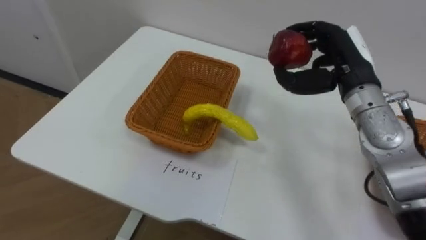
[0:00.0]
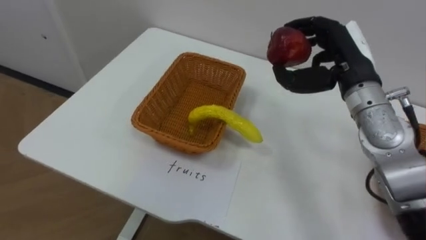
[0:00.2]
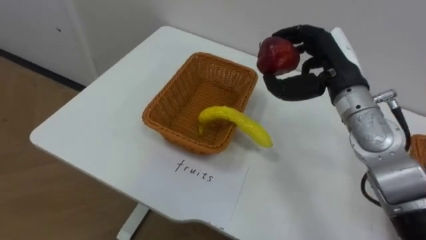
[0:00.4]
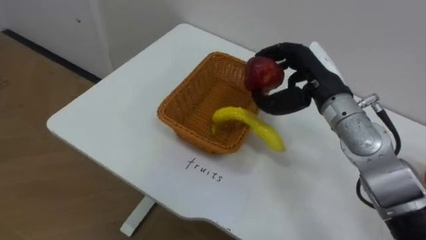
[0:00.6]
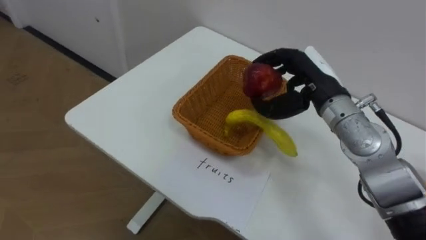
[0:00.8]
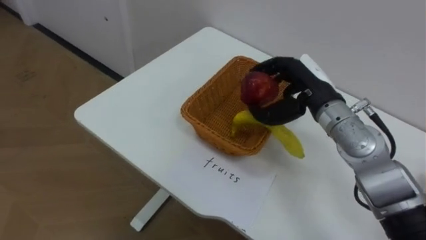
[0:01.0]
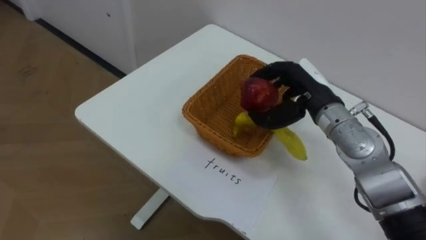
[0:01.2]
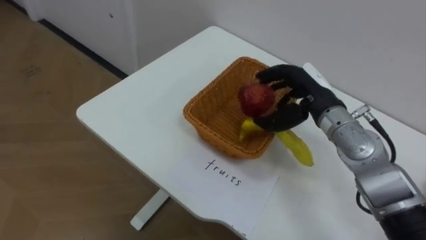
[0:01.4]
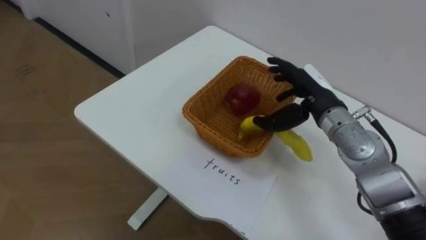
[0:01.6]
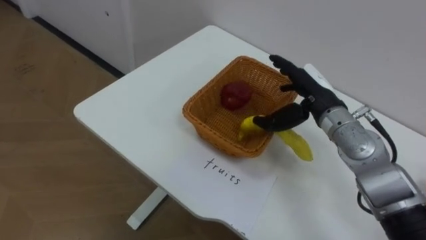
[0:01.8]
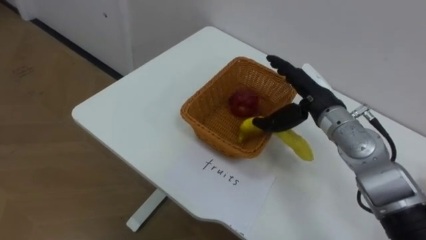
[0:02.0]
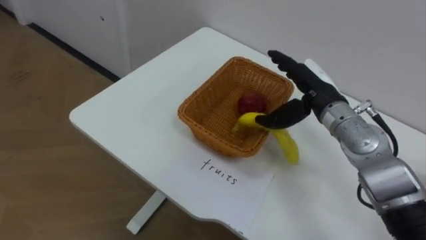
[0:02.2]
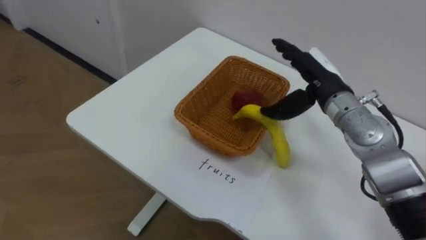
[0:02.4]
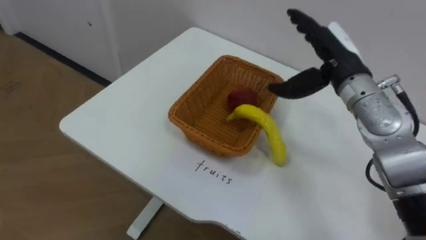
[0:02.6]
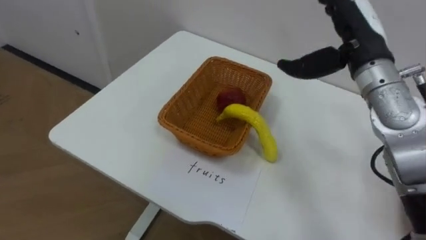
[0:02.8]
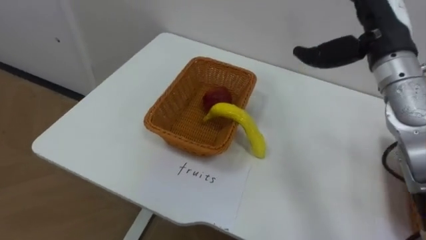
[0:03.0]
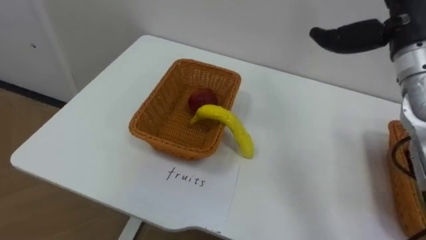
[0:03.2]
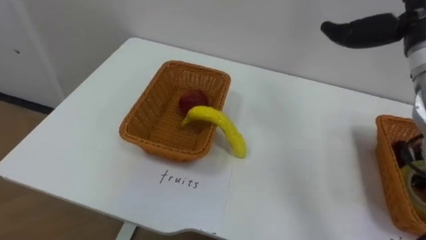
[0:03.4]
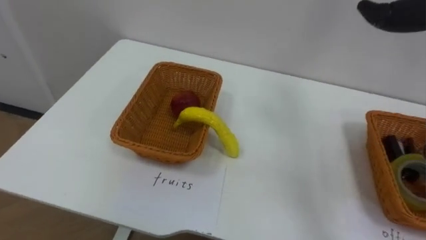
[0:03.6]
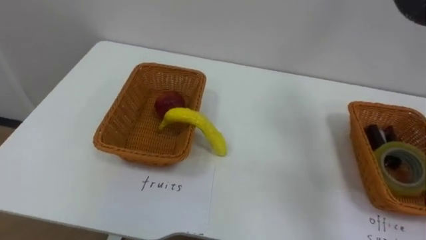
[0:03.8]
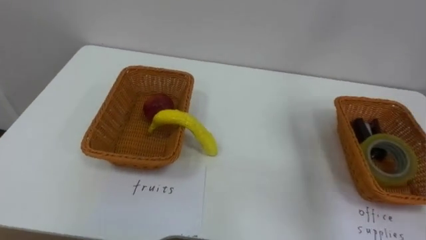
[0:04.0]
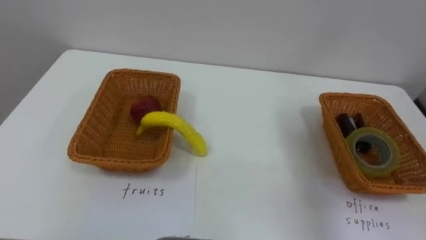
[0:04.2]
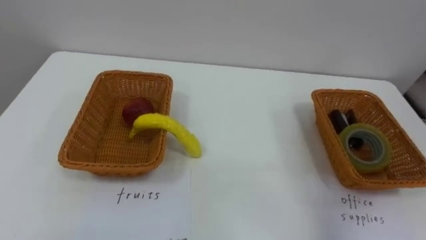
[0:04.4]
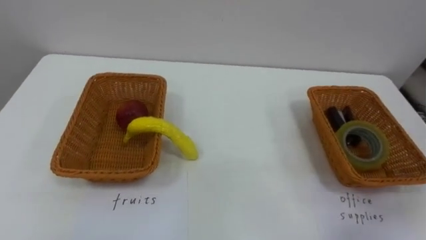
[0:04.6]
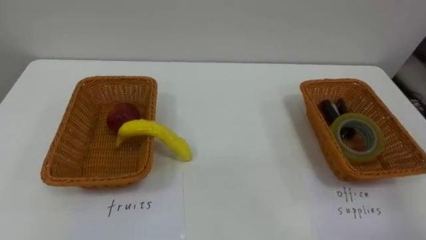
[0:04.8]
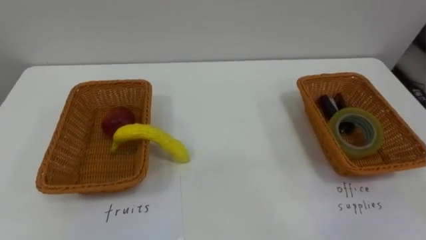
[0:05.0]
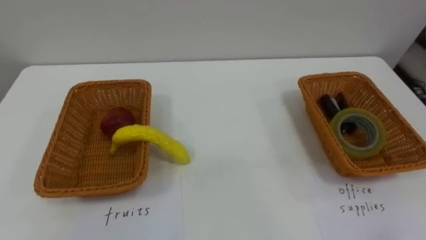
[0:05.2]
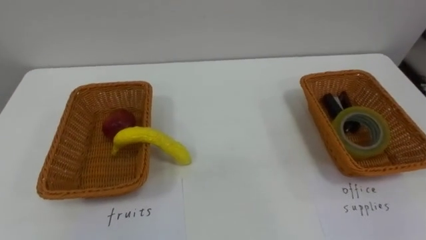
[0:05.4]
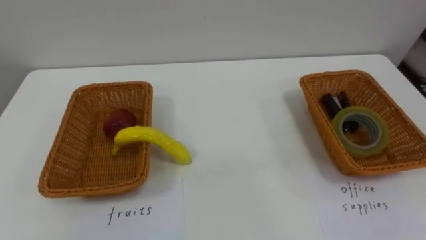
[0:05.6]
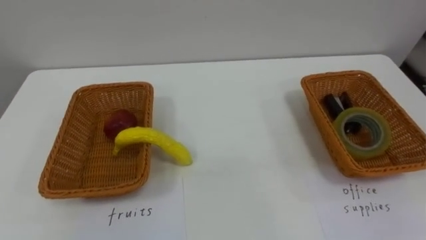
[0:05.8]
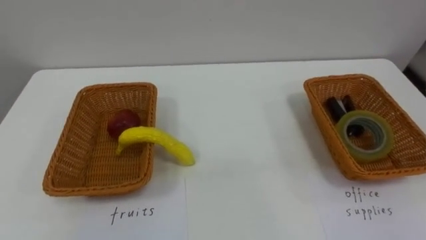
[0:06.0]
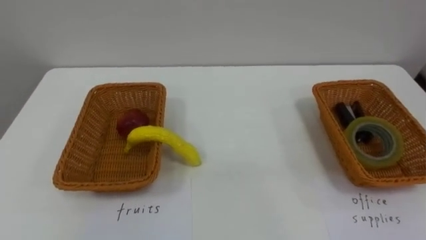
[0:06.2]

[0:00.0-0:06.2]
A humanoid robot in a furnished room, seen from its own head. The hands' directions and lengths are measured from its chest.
Task of the whole recording: Separate the items on the table and place them into the two baskets.
0:00.0 to 0:01.6: The right hand is displaced downward by about 5 cm, and opens its fingers.
0:01.6 to 0:03.2: The right hand goes roughly 15 cm upward and to the right.

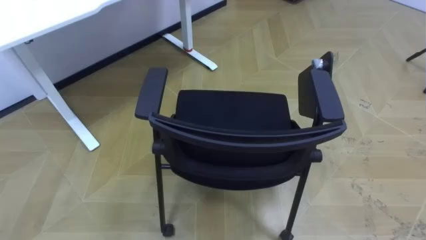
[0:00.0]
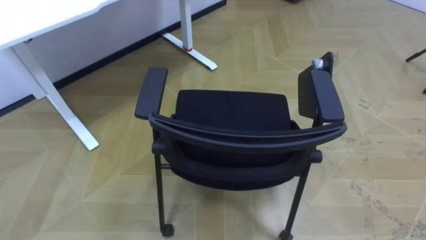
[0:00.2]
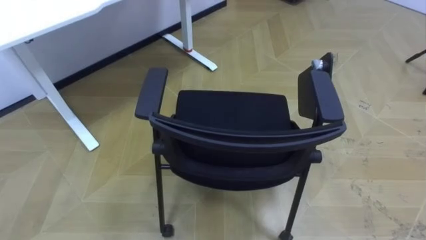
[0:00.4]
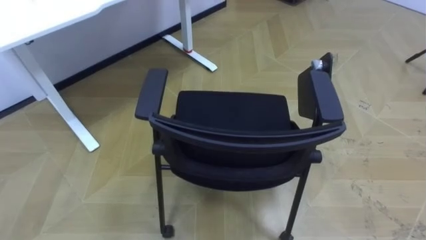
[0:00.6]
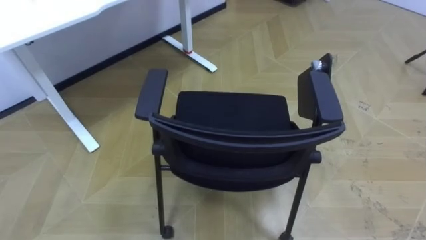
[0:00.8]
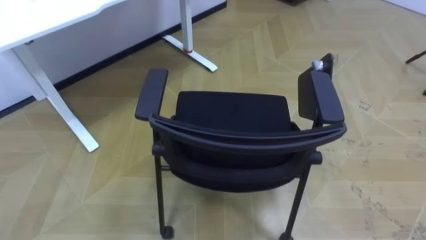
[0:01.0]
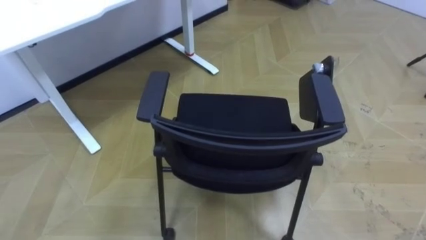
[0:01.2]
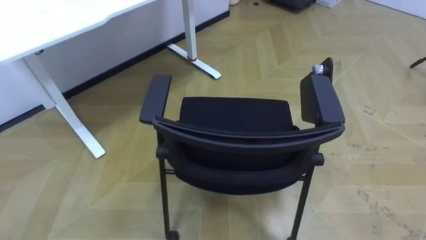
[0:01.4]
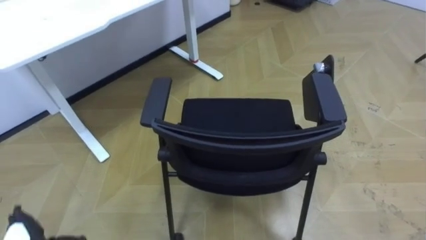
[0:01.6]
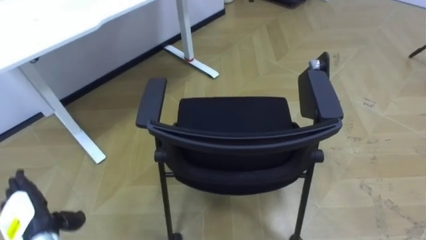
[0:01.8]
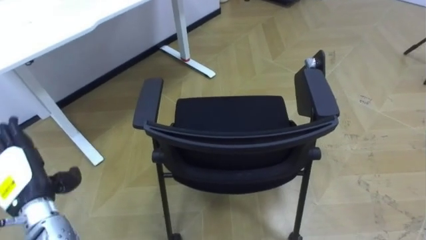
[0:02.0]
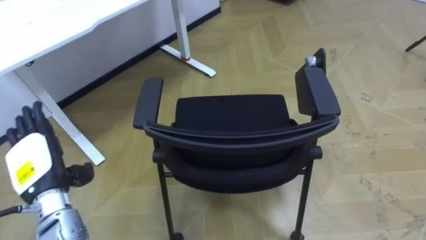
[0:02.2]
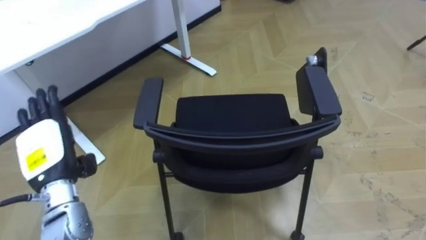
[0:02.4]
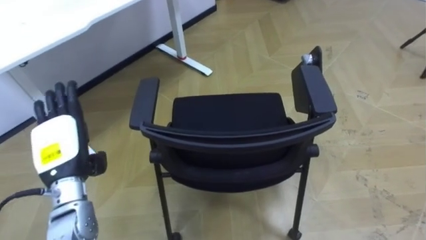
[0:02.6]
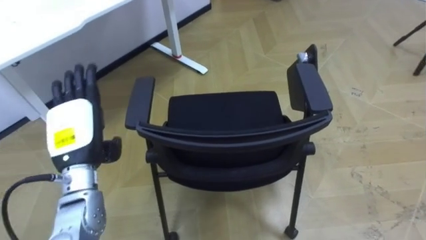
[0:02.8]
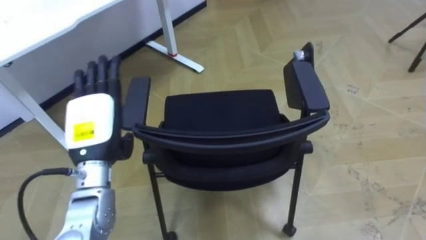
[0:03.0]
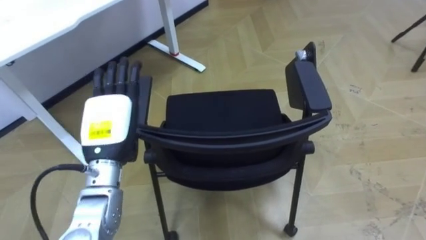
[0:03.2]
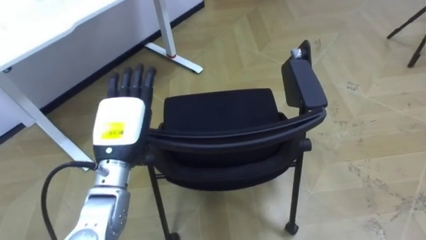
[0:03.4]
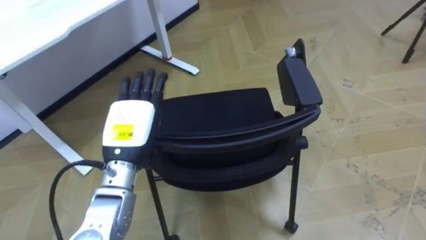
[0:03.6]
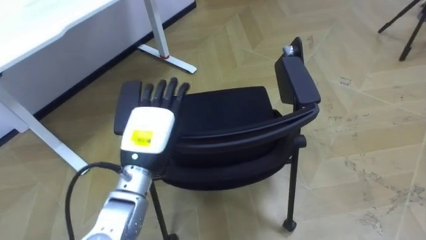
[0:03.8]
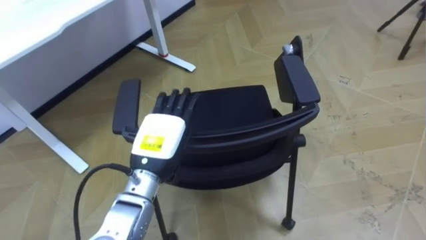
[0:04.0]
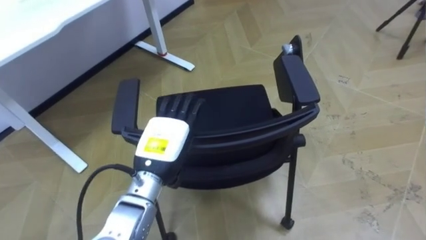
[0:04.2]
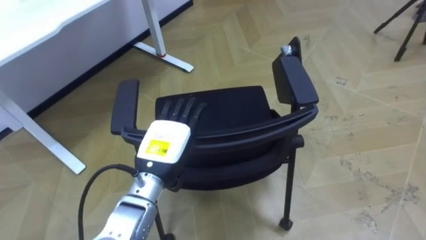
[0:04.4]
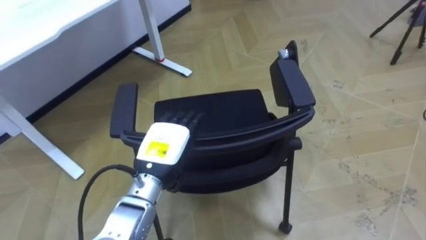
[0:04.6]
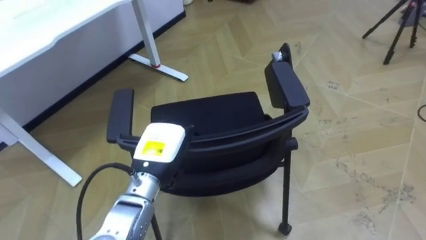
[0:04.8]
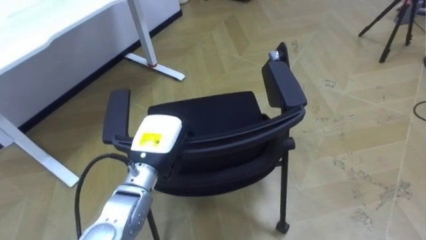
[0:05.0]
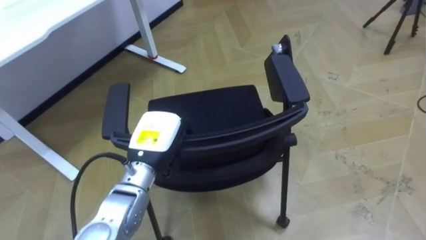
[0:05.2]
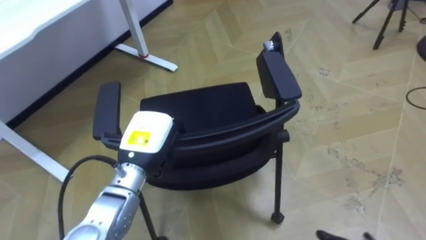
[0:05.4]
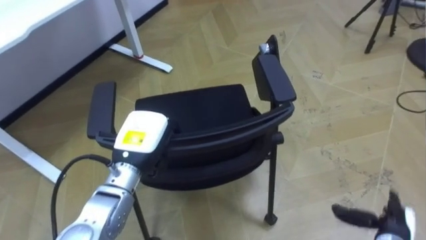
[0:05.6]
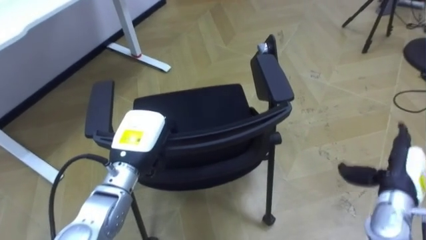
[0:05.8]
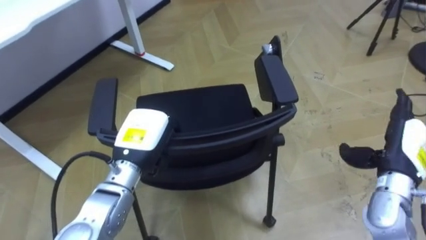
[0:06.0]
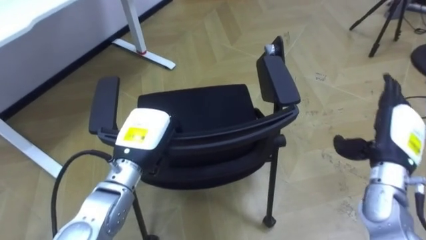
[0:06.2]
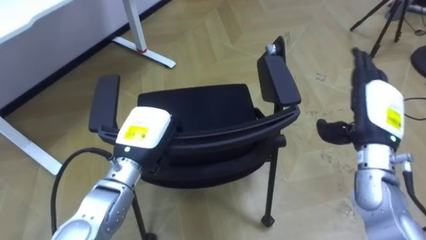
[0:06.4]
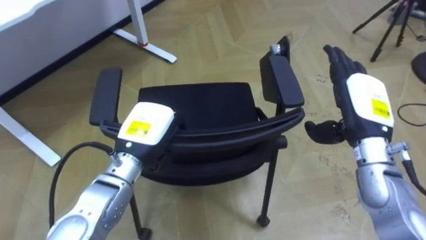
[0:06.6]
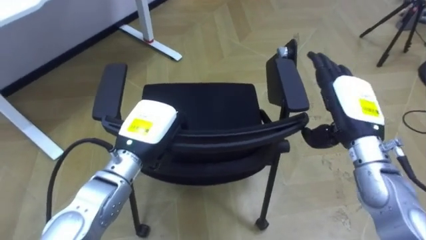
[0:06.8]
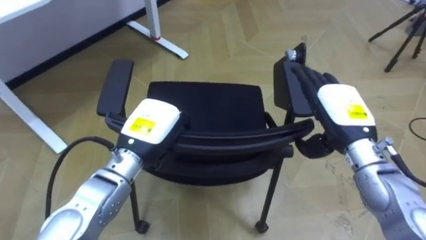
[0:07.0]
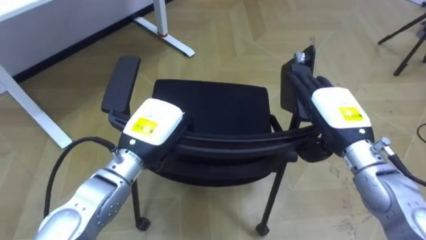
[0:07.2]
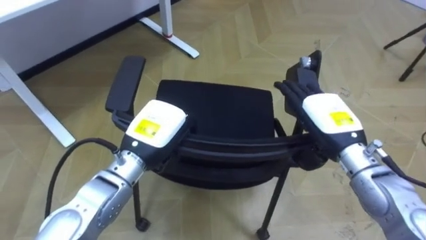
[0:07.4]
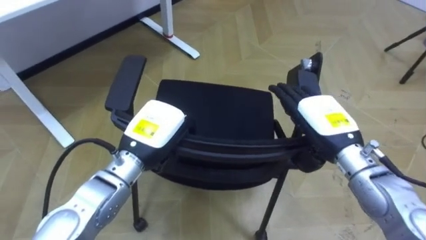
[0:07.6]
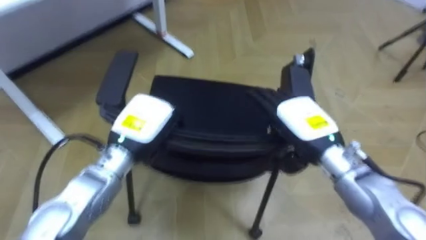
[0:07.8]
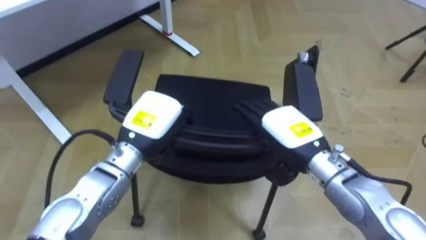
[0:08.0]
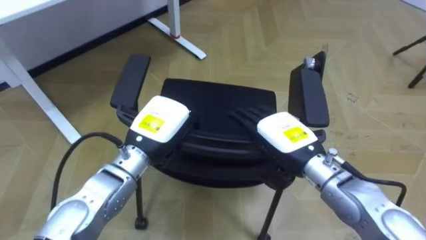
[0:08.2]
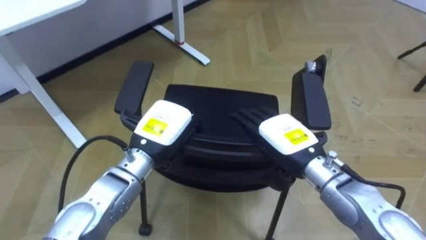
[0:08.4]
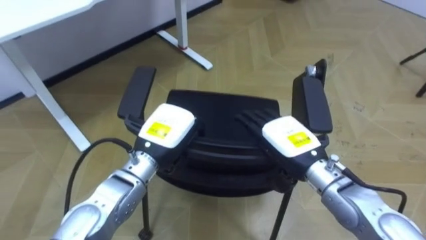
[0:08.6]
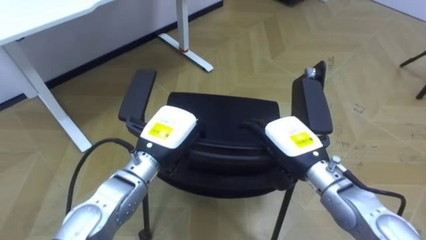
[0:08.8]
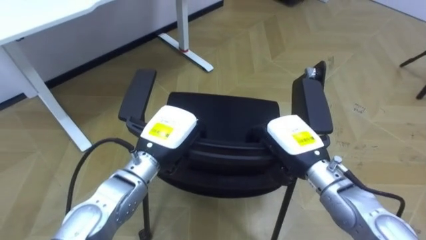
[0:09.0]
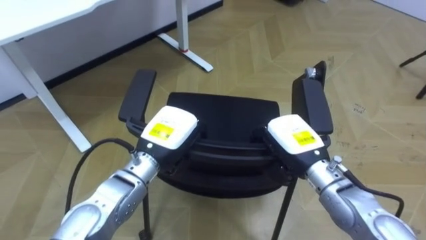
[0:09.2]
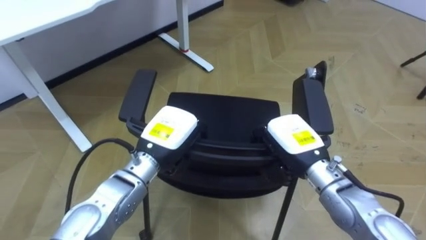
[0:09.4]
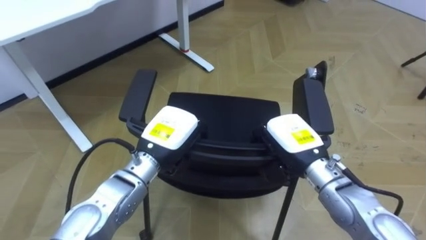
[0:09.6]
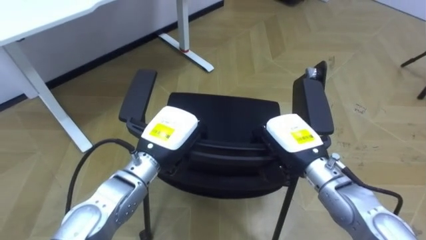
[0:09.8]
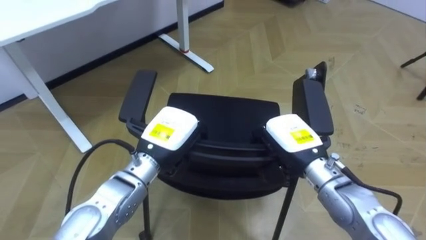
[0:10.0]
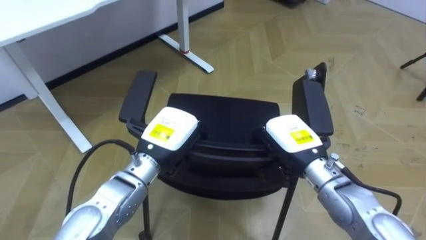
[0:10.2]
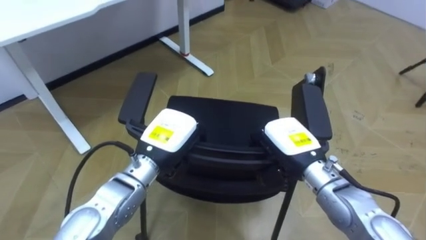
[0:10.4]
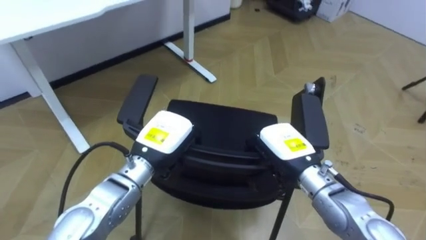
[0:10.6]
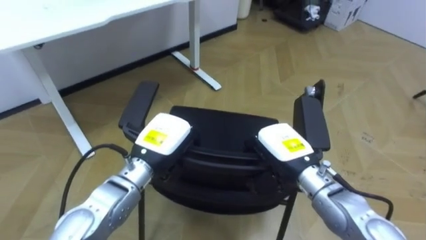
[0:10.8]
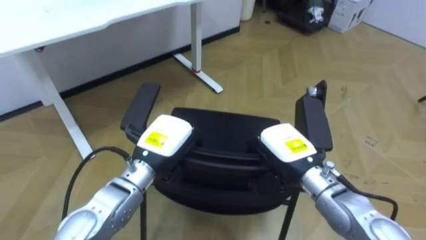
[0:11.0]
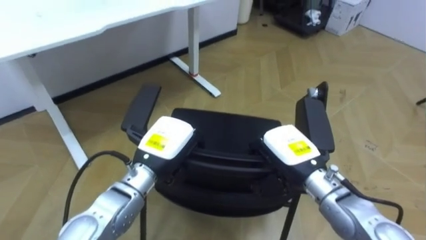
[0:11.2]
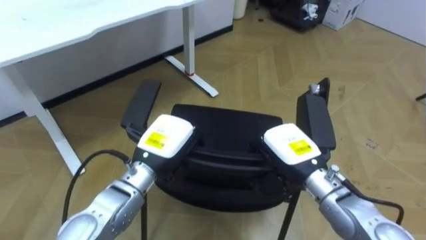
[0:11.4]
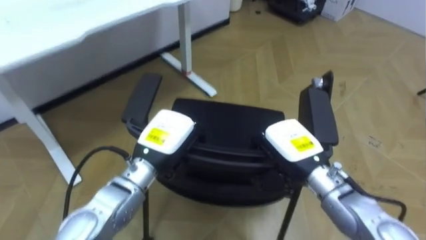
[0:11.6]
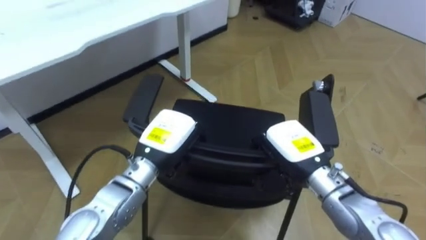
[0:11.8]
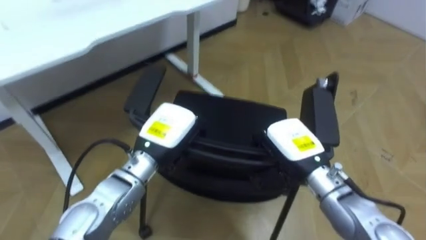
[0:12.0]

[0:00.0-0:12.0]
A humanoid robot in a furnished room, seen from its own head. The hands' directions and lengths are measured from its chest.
Task of the whole recording: Push the chair under the table.
0:03.0 to 0:04.4: The left hand goes about 10 cm to the right.
0:04.4 to 0:06.0: The left hand closes its fingers.
0:06.0 to 0:07.6: The right hand travels to the left by about 15 cm.
0:07.6 to 0:09.0: The right hand moves some 5 cm, and closes up.
